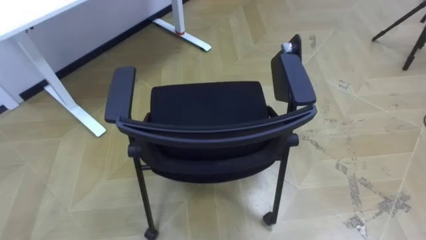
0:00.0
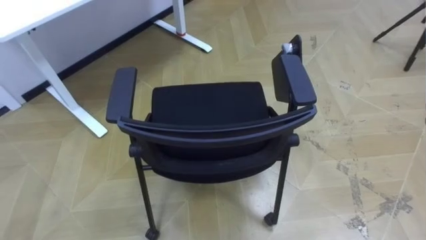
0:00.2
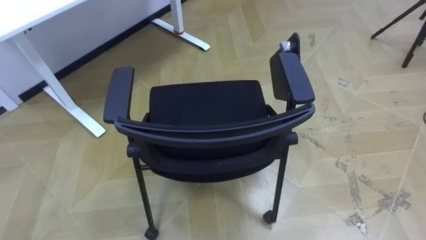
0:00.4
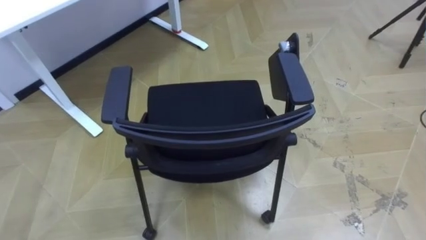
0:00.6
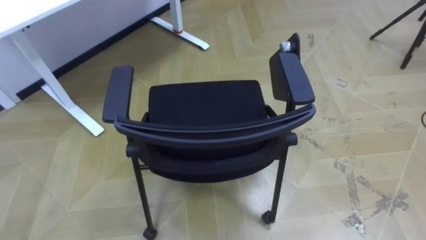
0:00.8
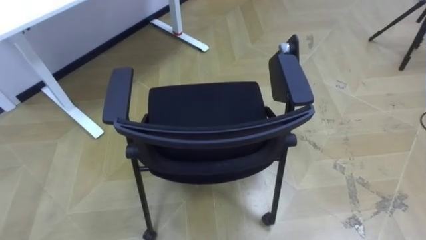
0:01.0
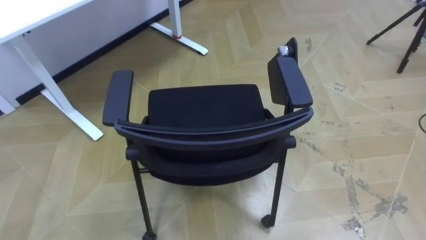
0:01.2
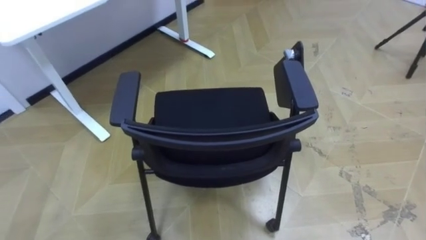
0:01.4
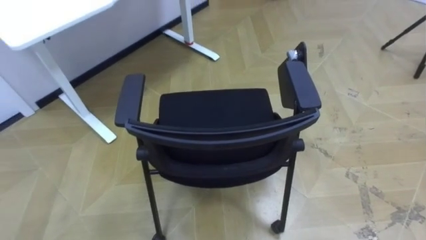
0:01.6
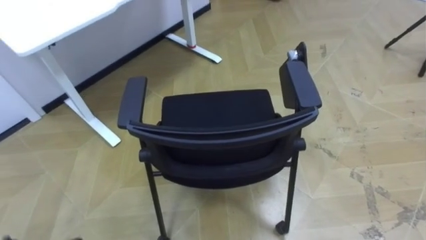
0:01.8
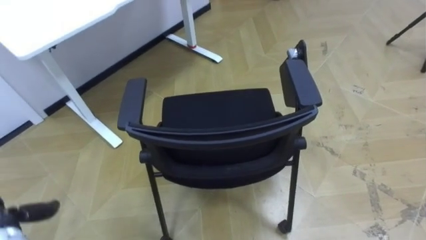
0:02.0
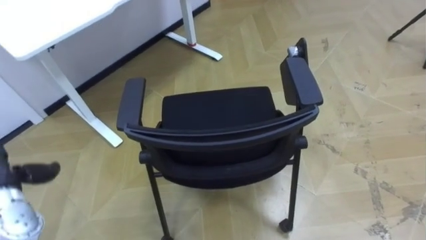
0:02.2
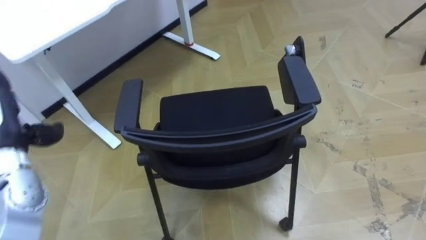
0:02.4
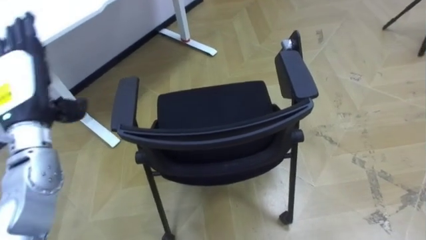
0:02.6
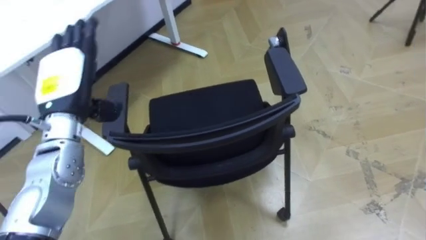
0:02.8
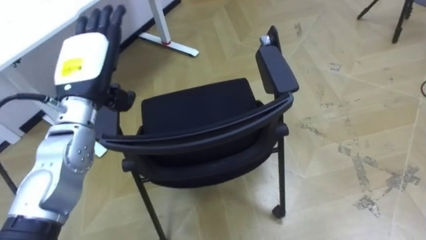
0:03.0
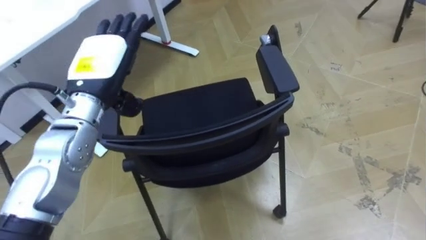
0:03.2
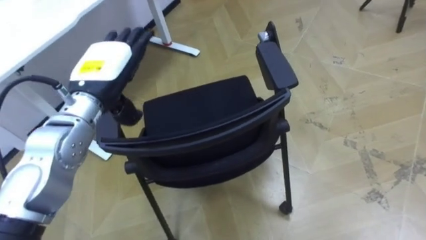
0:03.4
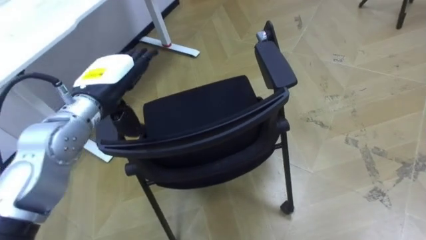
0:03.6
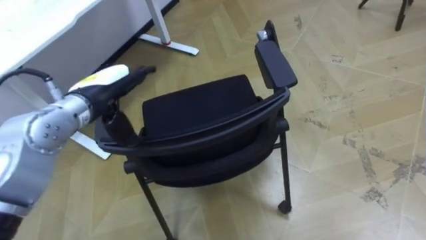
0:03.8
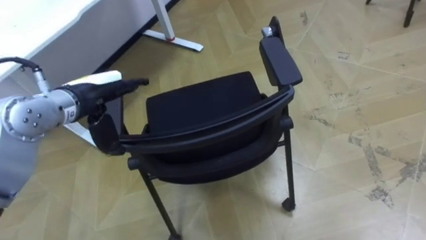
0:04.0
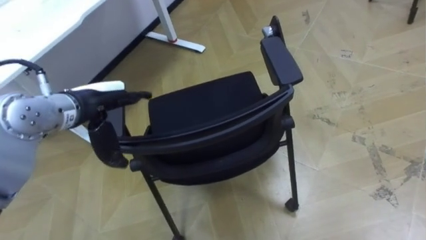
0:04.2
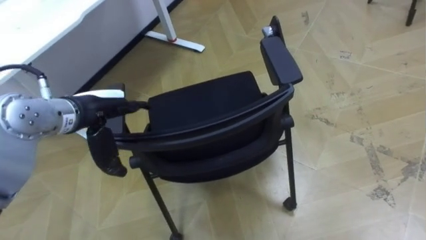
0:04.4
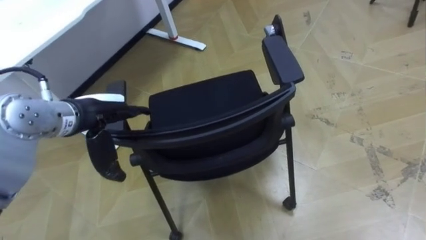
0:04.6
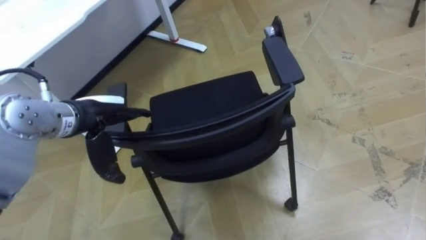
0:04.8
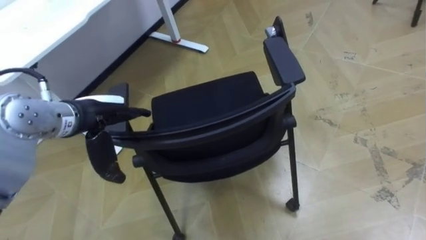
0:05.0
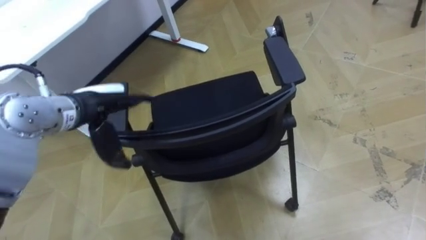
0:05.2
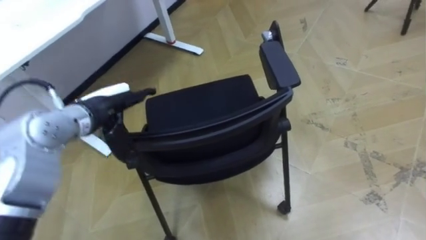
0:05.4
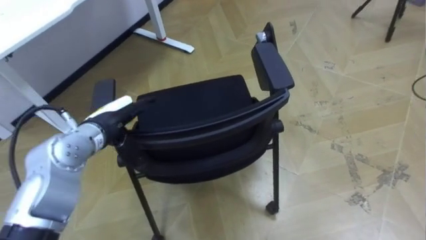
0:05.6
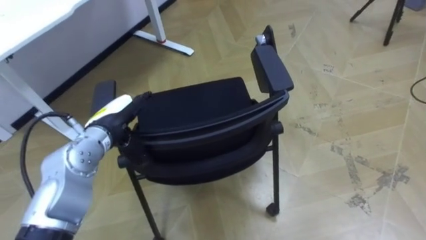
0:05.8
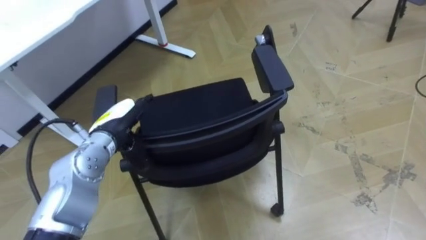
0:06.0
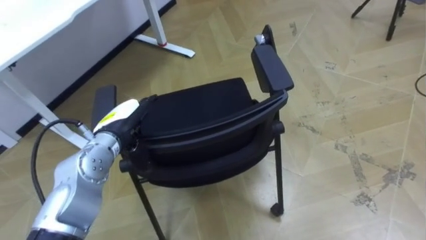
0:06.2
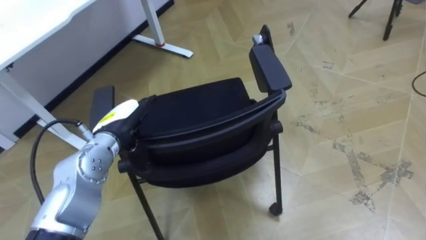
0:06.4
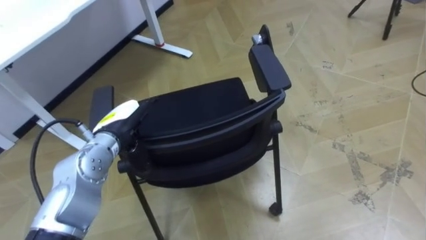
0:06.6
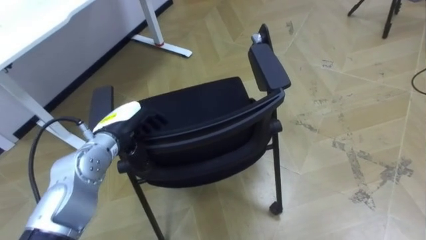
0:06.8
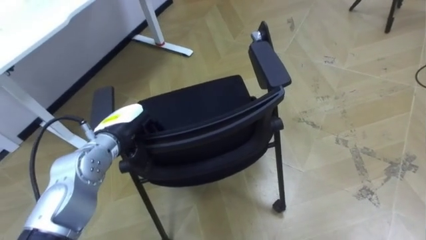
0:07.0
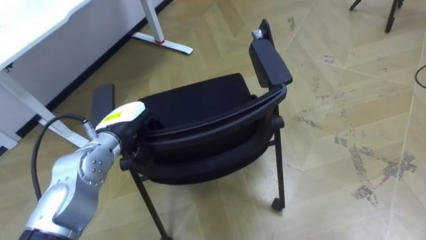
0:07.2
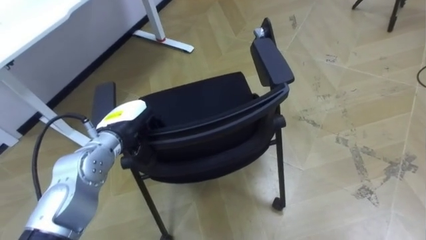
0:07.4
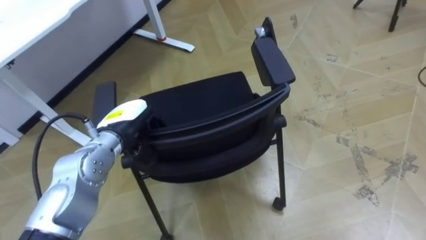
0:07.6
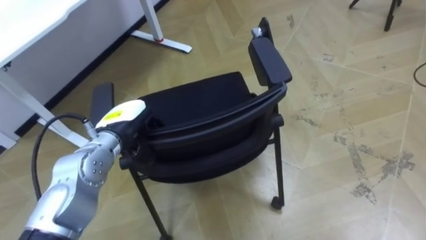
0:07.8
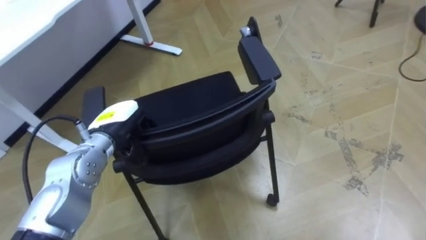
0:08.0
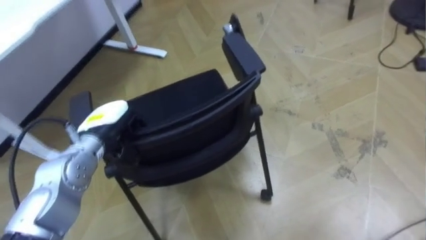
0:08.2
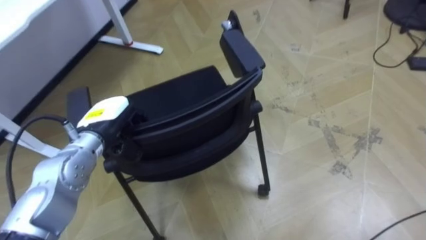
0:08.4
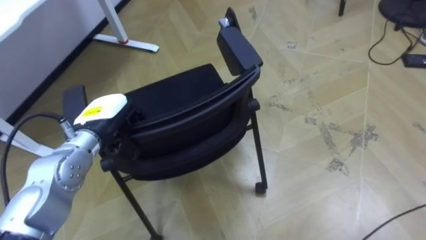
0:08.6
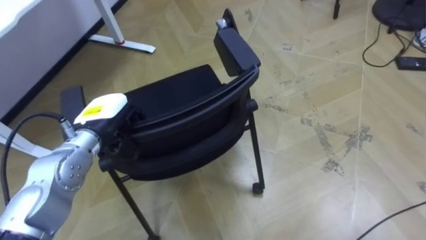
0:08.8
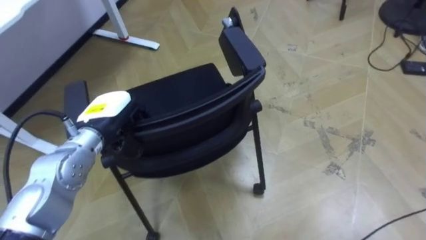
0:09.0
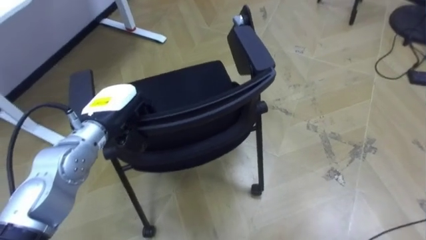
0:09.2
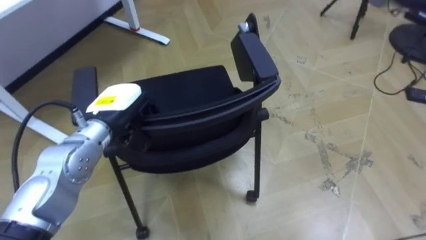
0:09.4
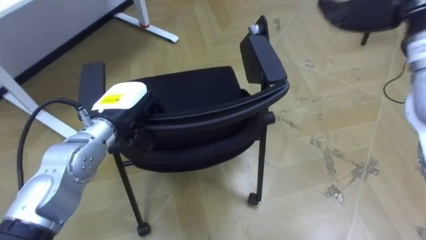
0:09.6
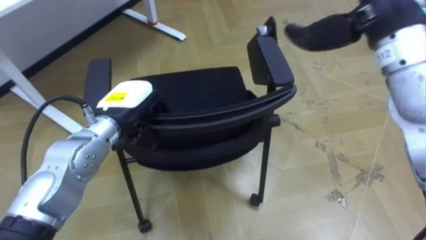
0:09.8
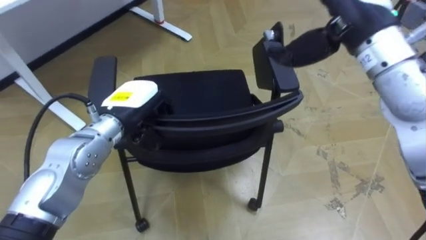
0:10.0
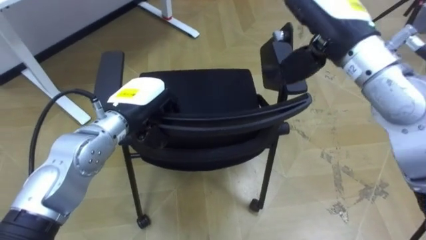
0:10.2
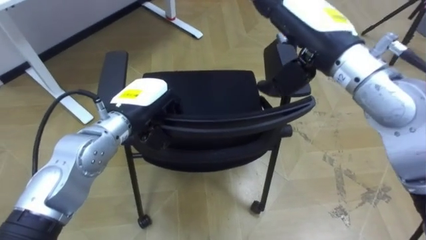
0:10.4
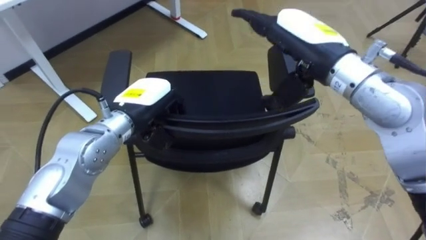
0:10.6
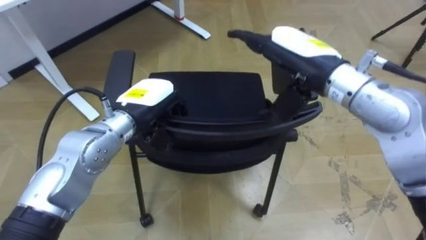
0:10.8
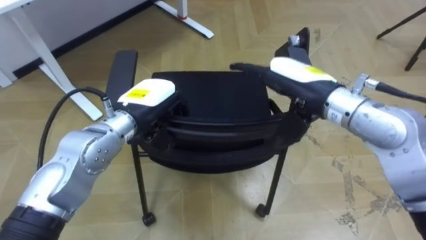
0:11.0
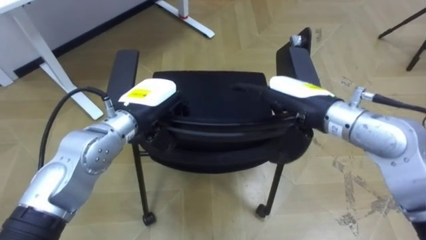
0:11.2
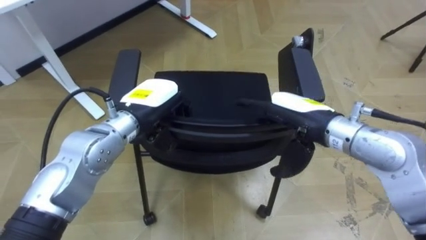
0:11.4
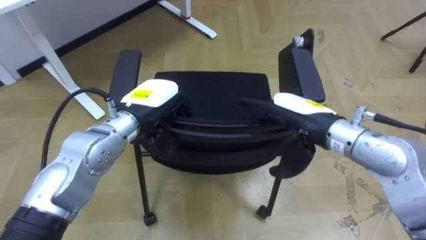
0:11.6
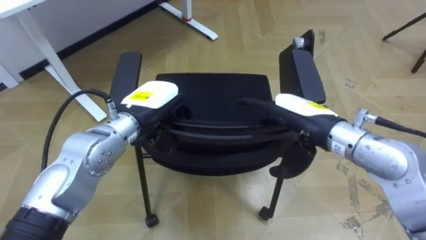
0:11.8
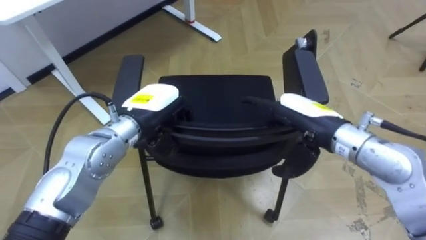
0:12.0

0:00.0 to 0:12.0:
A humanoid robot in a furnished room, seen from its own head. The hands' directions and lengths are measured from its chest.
Task of the whole recording: Push the chair under the table.
0:03.0 to 0:04.4: The left hand shifts by some 5 cm.
0:04.4 to 0:06.0: The left hand heads downward, covering approximately 5 cm.
0:06.0 to 0:07.6: The left hand closes its fingers.
0:09.0 to 0:10.4: The left hand moves to the right, roughly 5 cm.
0:10.4 to 0:12.0: The right hand shifts about 15 cm downward.

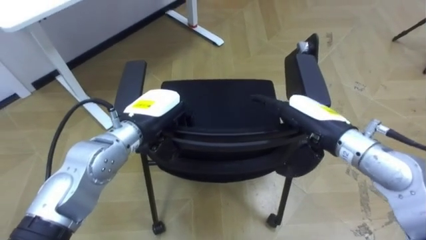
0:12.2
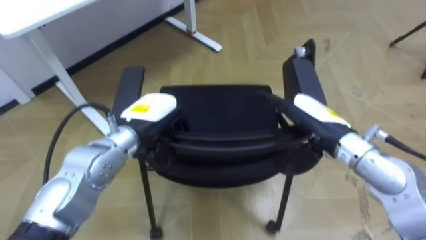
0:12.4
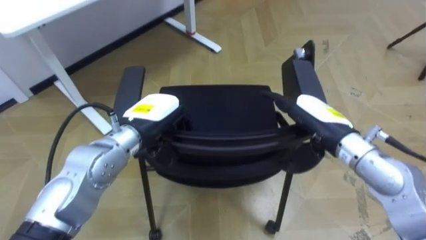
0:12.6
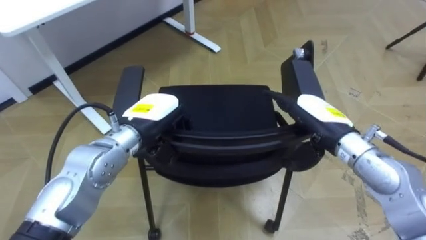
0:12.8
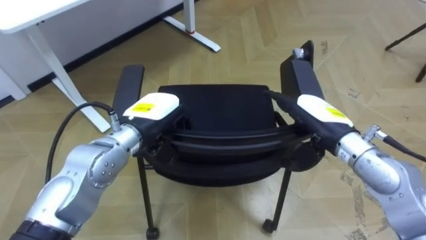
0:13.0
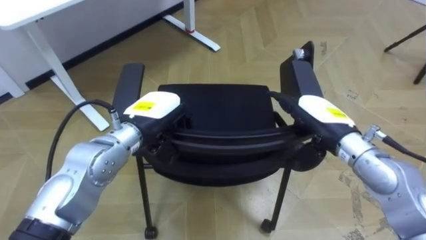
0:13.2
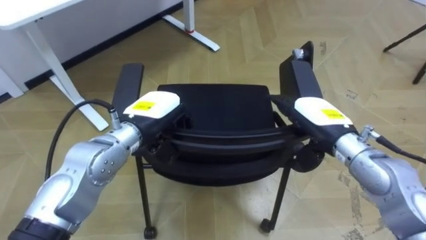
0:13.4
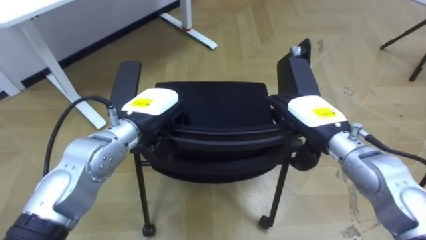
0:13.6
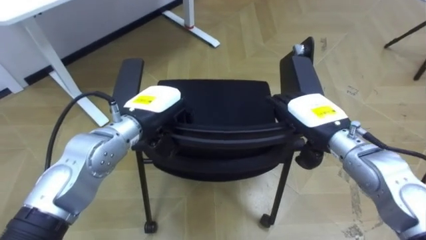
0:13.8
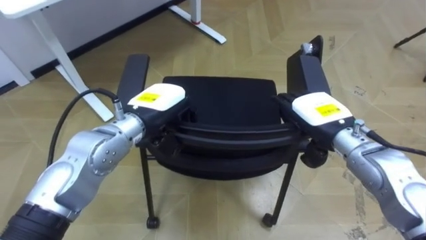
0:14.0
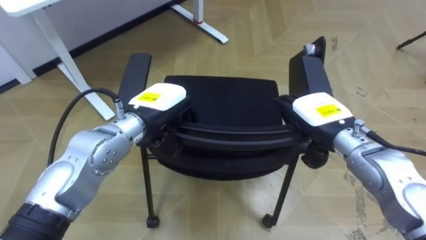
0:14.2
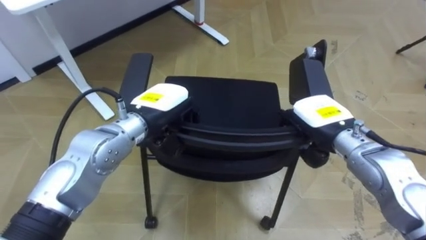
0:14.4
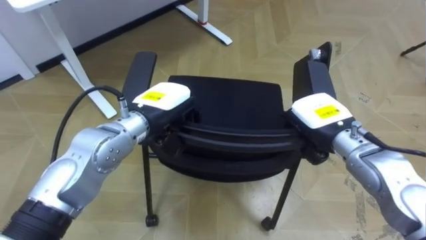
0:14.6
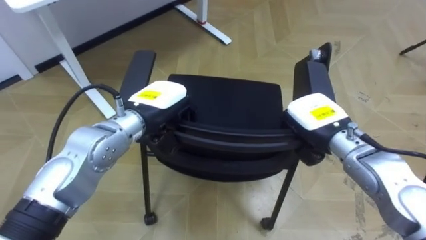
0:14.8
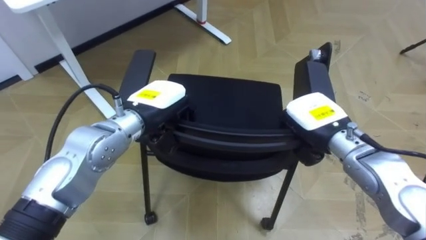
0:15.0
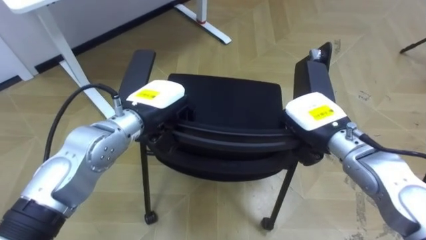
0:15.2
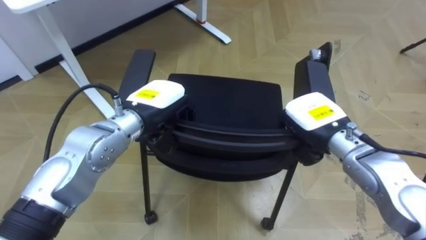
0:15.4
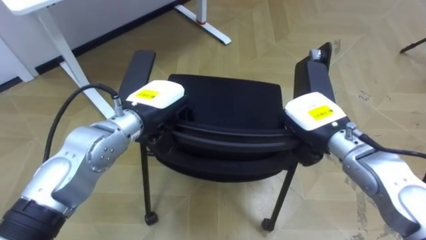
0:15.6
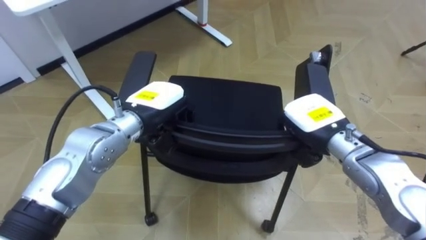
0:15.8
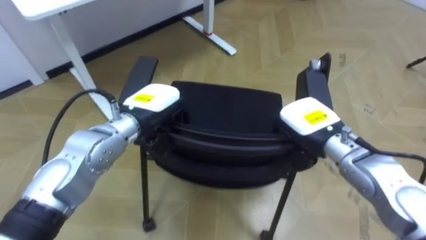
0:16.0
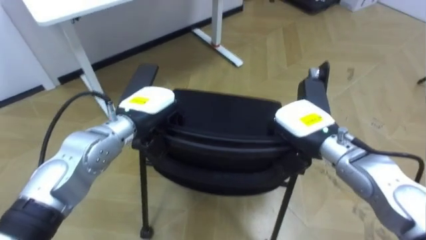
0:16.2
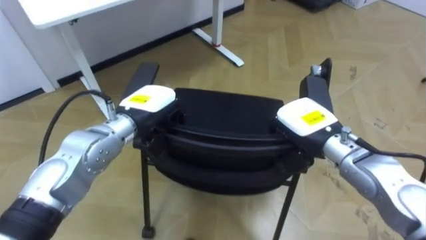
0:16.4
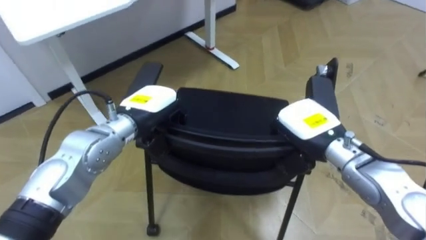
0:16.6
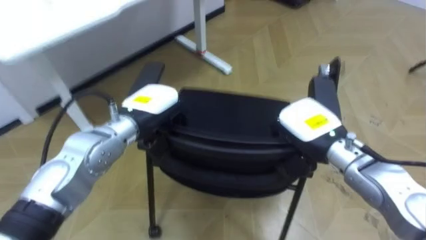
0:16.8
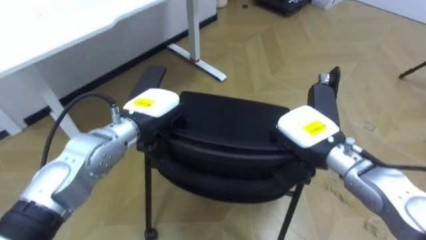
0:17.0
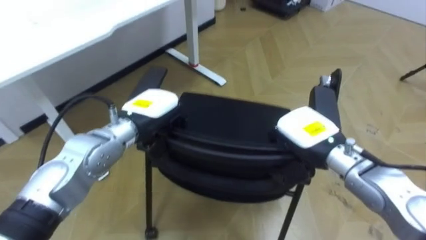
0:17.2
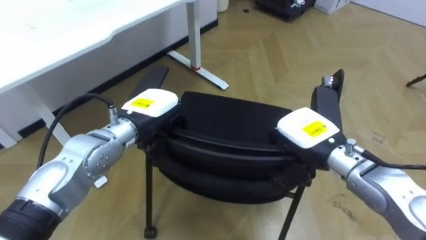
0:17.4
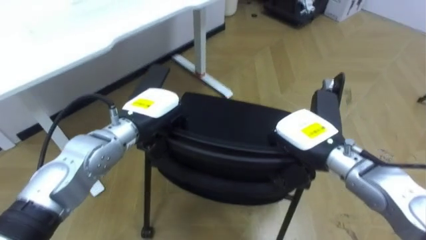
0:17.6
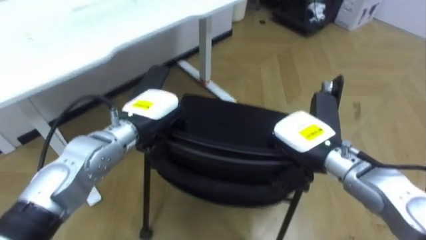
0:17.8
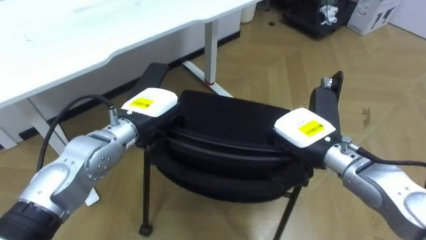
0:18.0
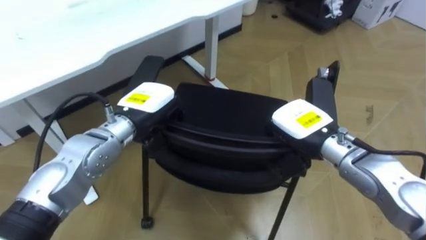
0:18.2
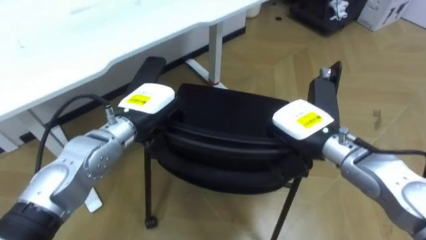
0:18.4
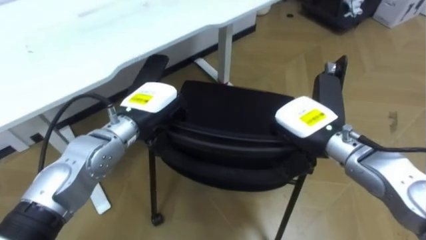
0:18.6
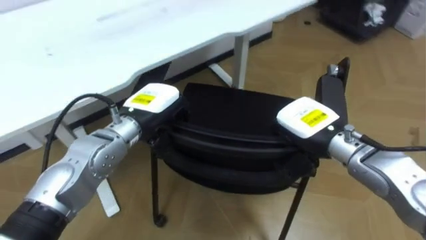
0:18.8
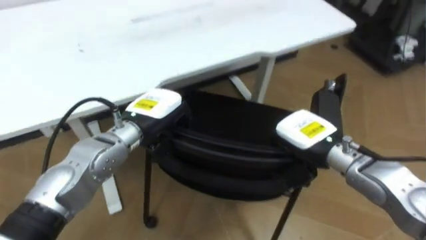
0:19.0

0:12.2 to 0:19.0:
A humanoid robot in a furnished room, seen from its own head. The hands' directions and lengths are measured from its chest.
Task of the whole recording: Push the chair under the table.
0:13.6 to 0:15.0: The right hand closes.
0:17.6 to 0:19.0: The robot turns to its left by about 15 degrees.
